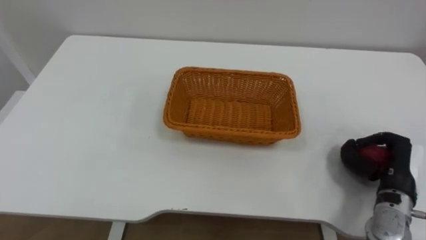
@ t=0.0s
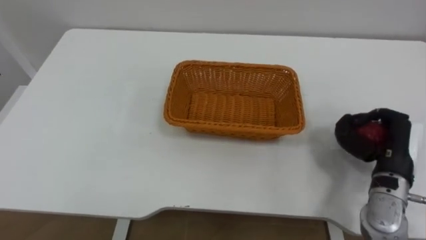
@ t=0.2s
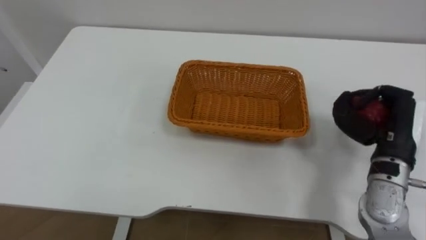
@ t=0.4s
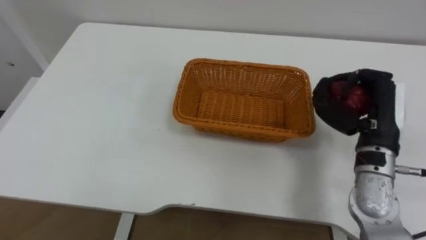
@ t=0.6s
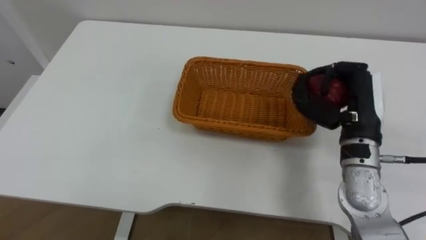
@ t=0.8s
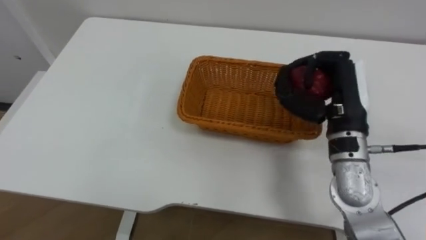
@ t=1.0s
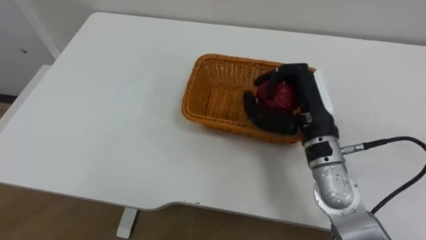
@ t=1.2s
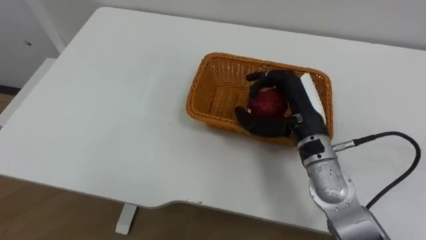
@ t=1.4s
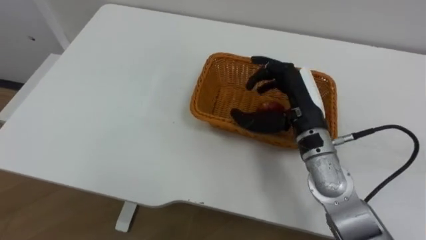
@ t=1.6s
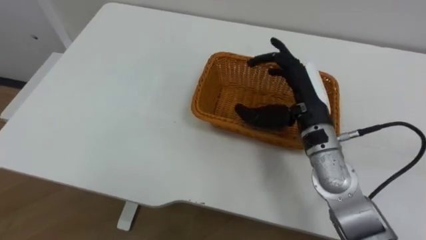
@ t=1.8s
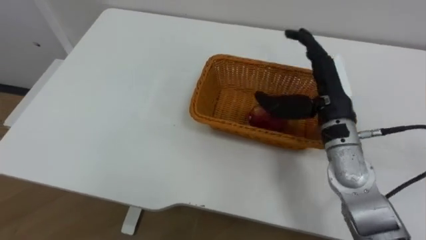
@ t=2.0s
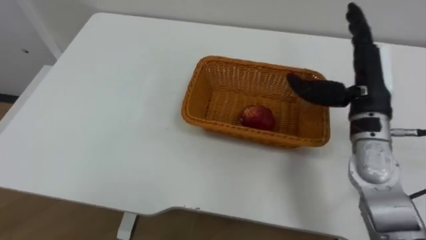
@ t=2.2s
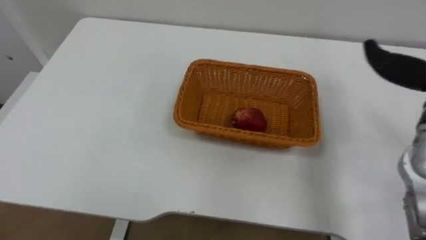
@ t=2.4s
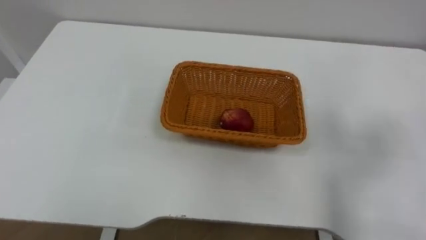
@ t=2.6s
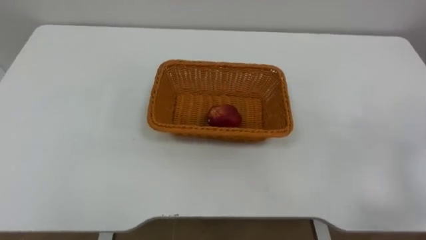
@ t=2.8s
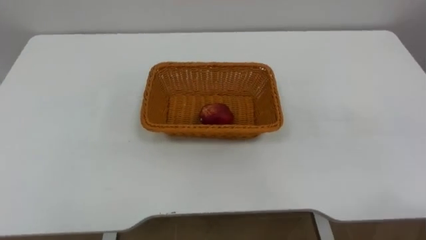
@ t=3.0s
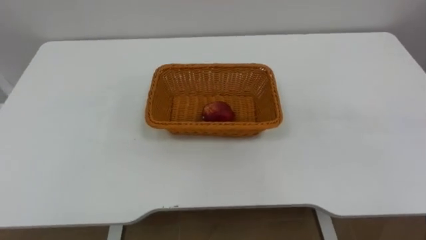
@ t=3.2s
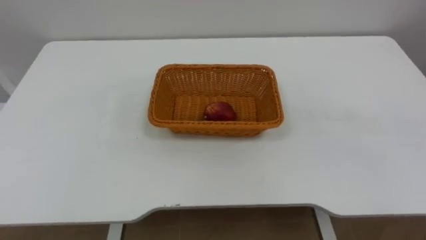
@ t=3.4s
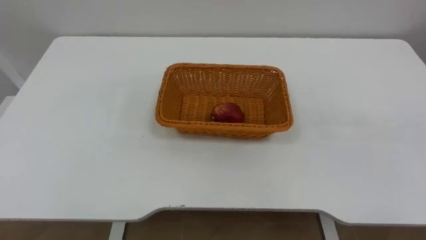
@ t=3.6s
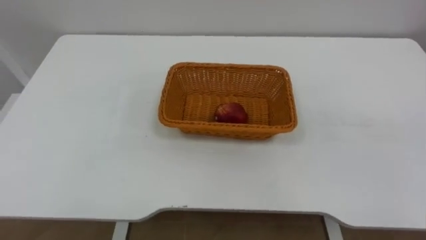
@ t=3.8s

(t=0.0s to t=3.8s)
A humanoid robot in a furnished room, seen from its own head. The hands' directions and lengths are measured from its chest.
Task of the whole recording: Pick the apple and place it in the box.
t=0.0s - t=1.2s: The right hand is displaced to the left and upward by roughly 20 cm.

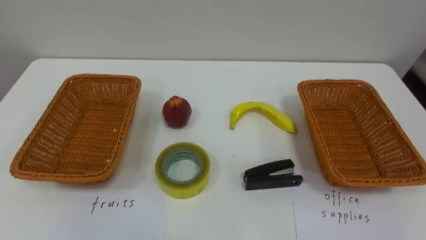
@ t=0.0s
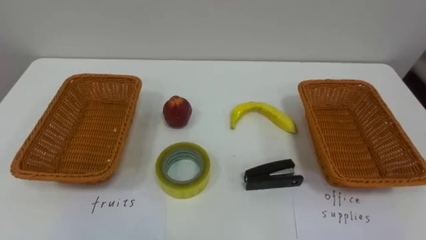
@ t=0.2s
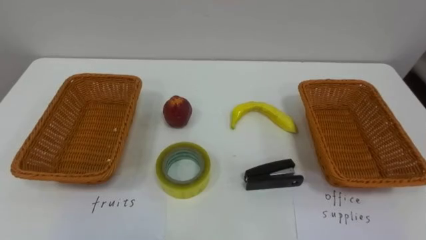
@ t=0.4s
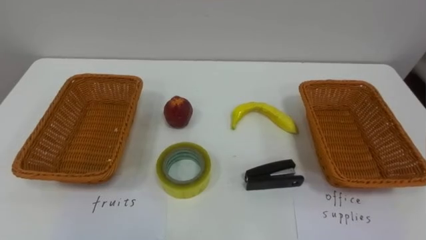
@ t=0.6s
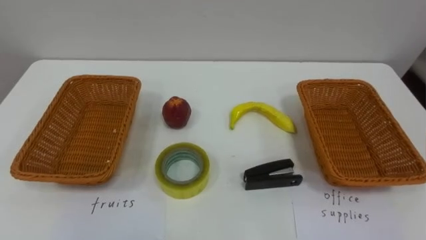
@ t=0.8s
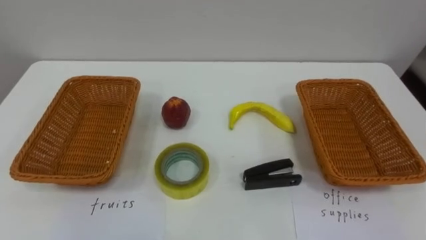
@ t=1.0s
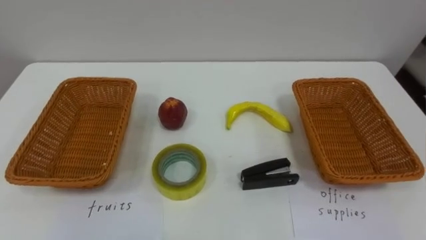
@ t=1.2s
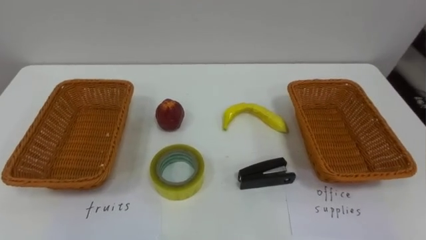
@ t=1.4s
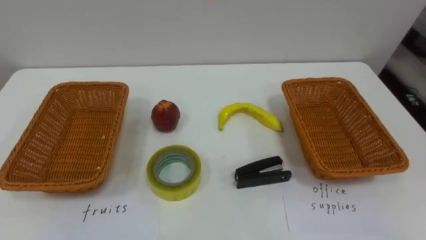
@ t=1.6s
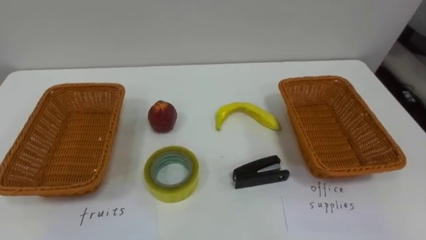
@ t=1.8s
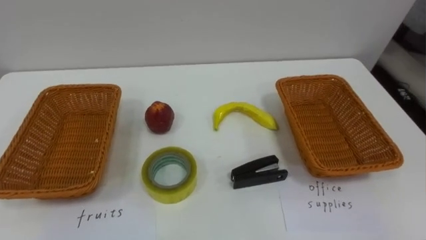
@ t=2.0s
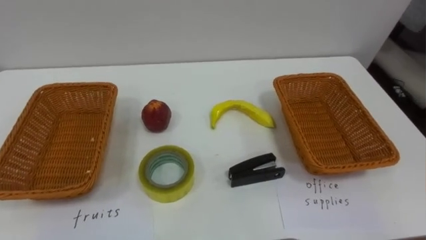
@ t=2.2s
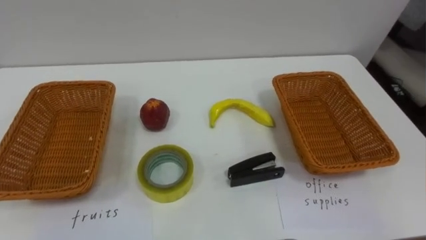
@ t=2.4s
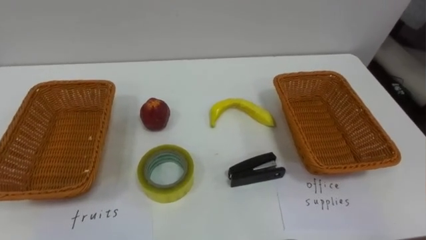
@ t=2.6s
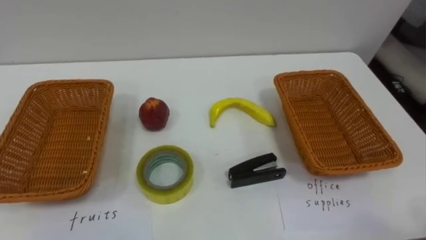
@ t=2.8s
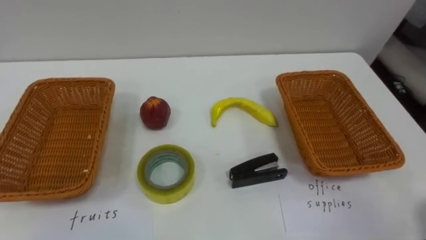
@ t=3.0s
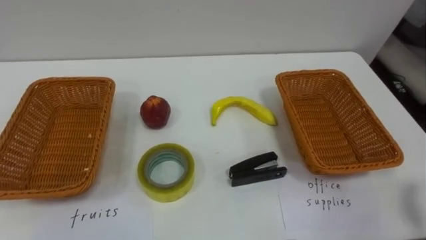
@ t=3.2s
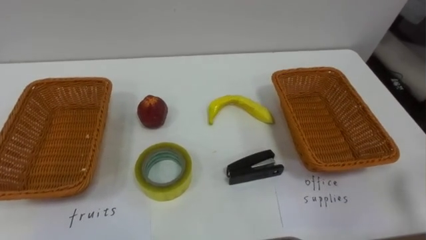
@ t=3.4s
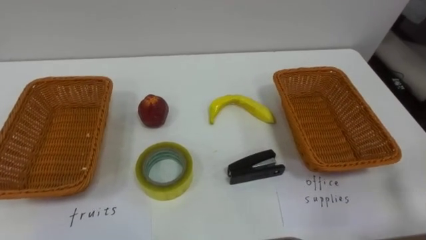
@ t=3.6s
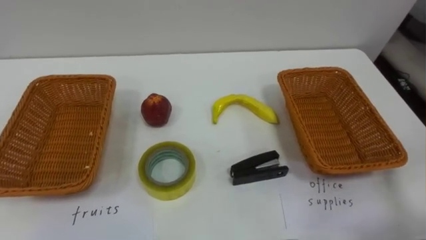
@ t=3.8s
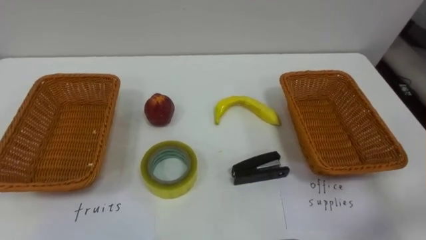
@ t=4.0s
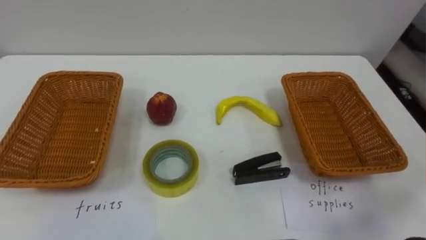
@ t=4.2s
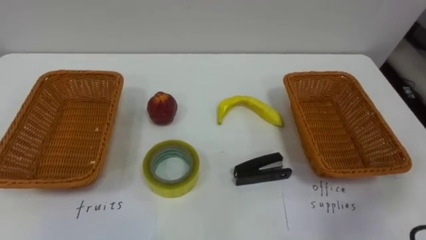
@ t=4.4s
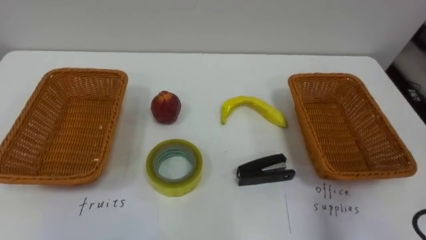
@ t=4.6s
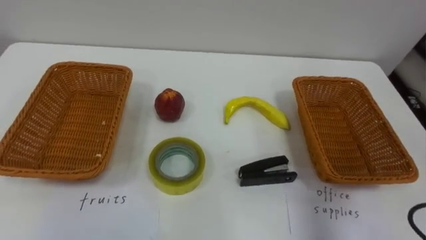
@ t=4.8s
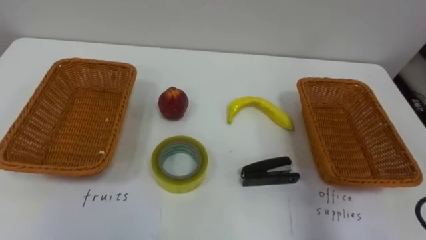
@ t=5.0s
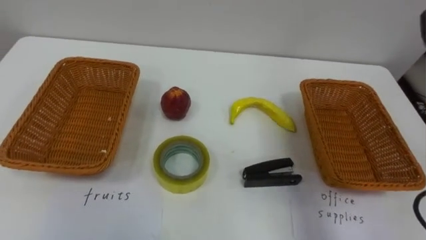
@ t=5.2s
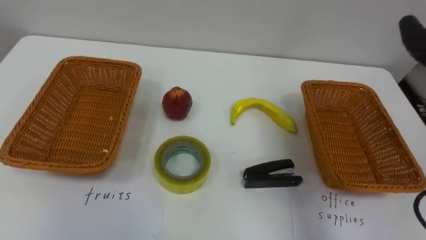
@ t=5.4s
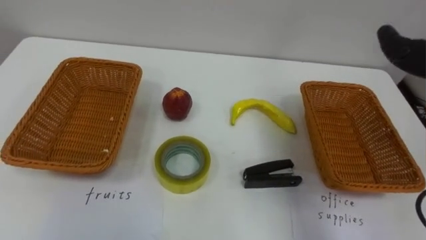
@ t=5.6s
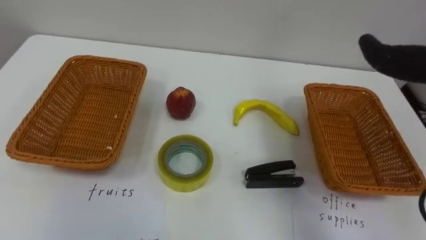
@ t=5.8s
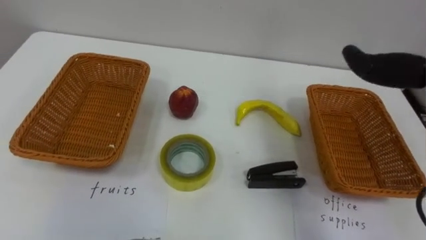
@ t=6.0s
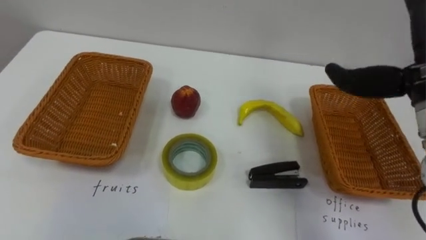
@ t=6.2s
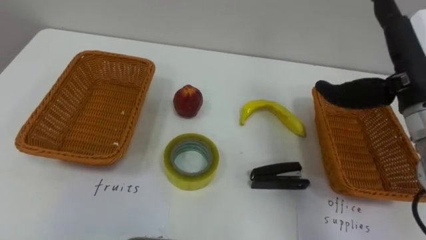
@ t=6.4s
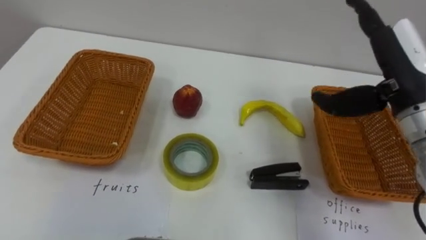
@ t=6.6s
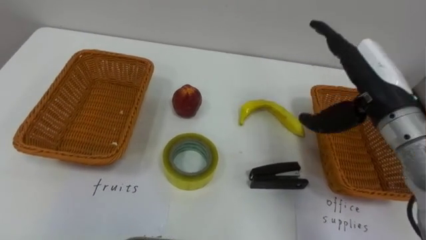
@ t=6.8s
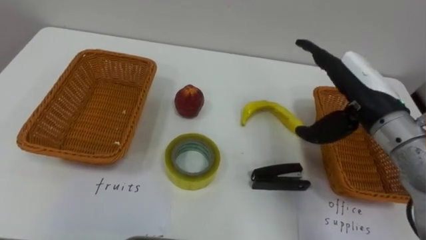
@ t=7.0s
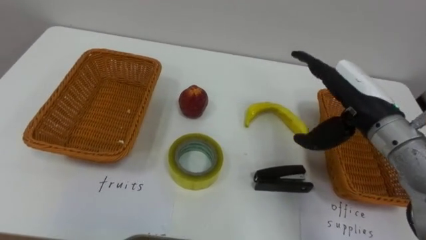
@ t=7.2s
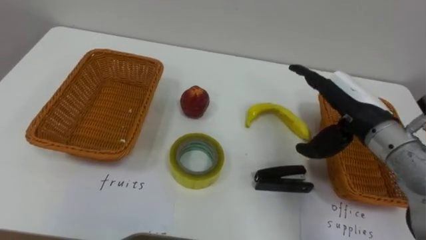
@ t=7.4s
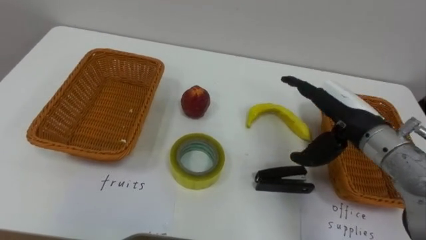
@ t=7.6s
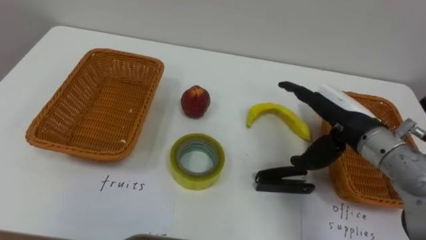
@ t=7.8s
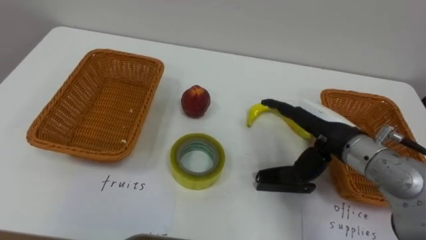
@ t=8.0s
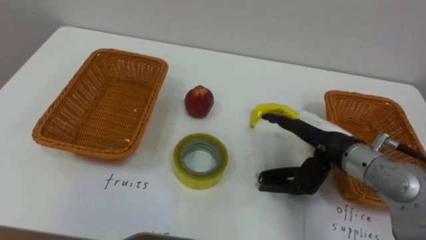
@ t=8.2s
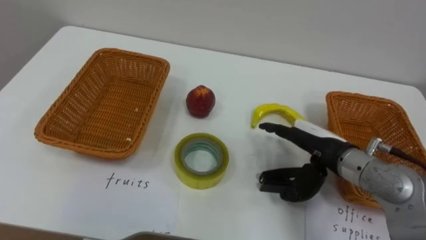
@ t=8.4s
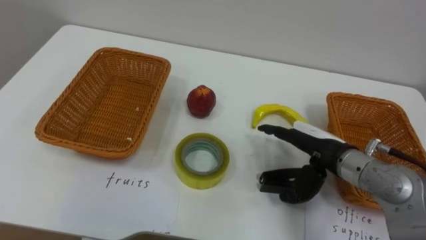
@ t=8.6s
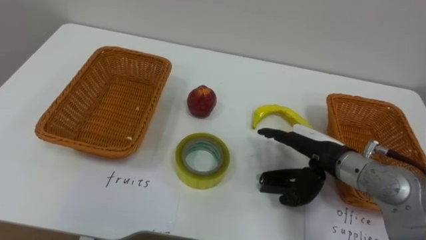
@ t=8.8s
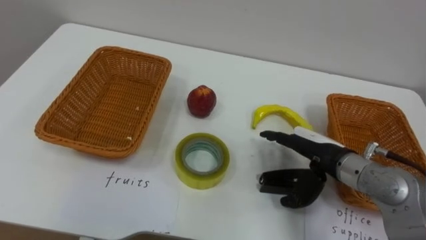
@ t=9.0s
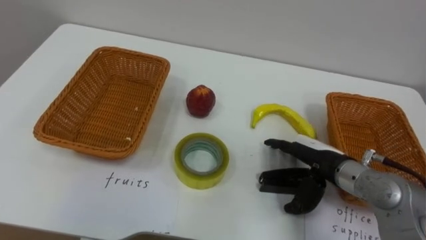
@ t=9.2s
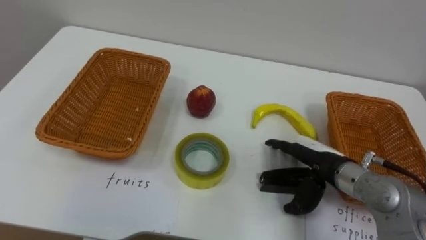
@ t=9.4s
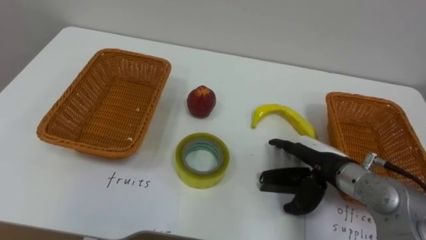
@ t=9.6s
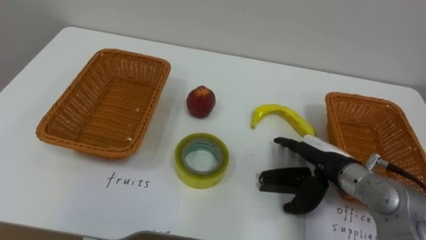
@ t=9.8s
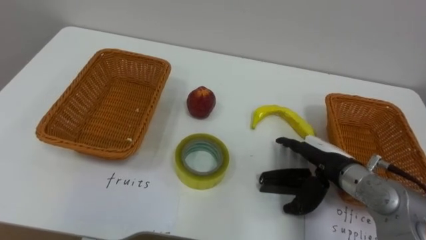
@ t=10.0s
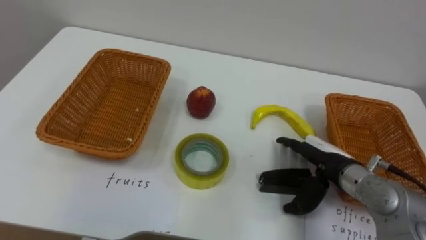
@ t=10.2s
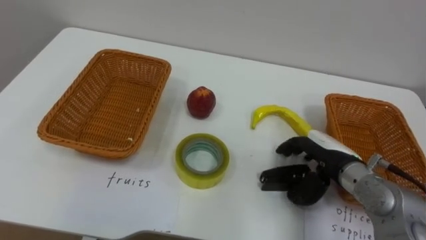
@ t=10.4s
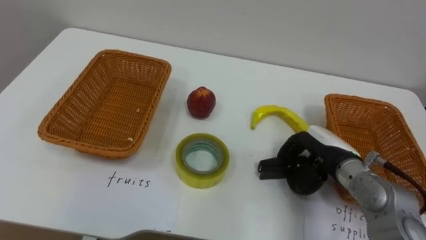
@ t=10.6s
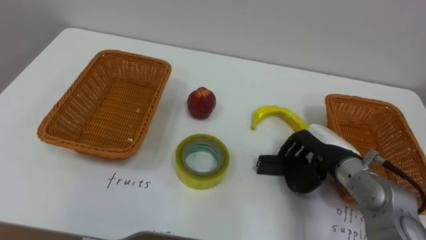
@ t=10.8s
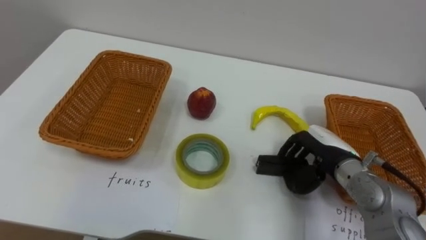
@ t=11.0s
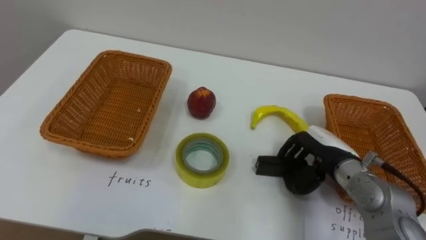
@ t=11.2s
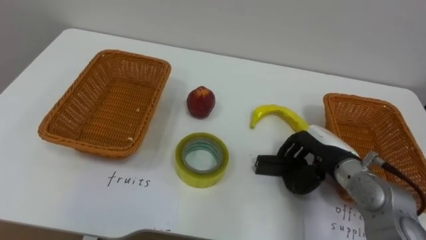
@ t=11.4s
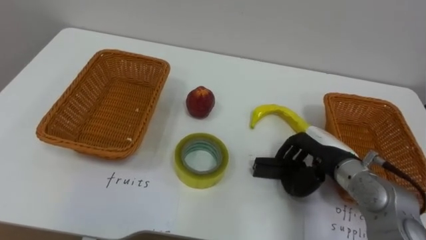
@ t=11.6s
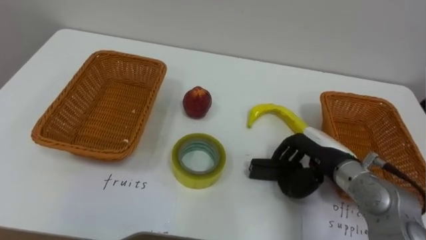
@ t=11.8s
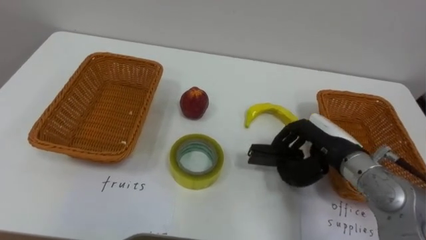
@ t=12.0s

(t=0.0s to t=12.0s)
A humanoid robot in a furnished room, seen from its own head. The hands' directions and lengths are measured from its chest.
Task of the whole recording: Separate the items on the table and place them into the two baskets.
t=7.6s - t=9.0s: The right hand shifts roughly 5 cm downward.
t=10.4s - t=12.0s: The right hand closes.

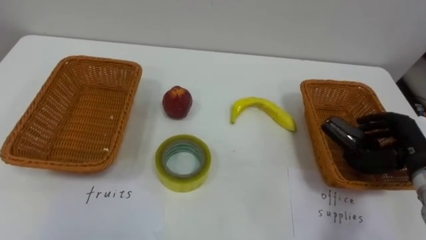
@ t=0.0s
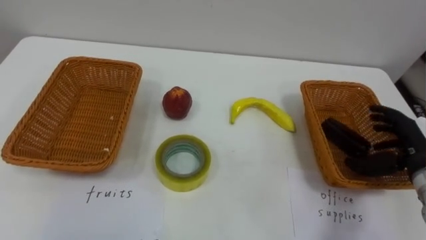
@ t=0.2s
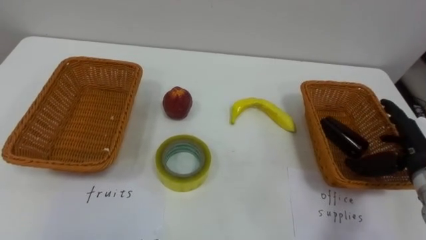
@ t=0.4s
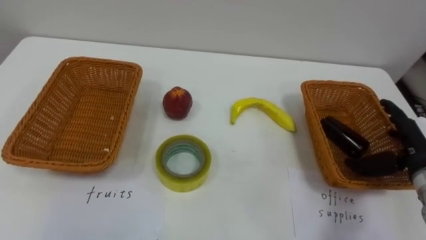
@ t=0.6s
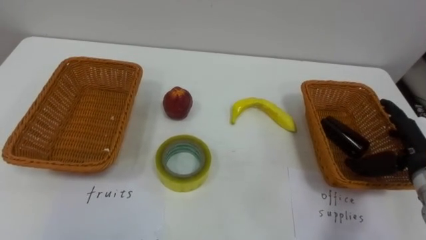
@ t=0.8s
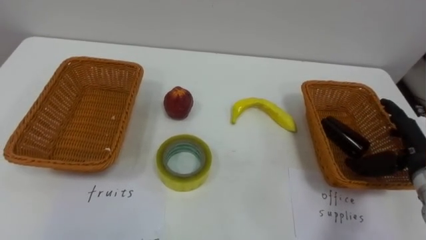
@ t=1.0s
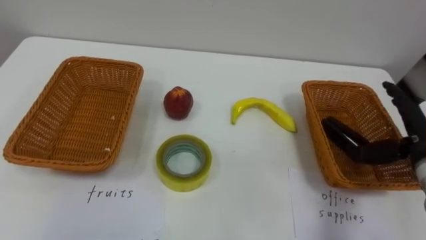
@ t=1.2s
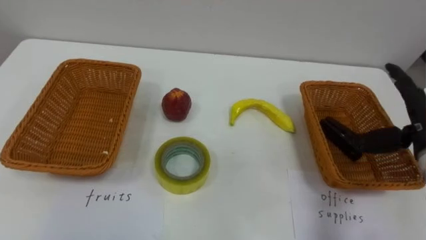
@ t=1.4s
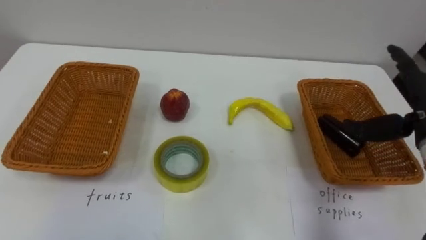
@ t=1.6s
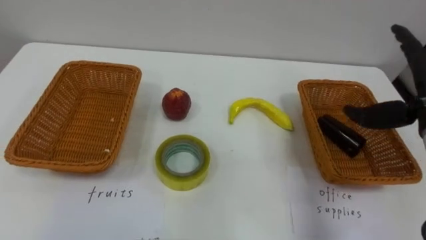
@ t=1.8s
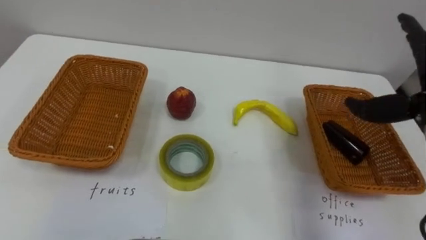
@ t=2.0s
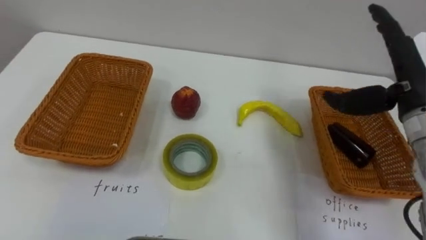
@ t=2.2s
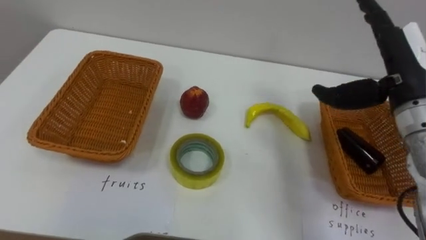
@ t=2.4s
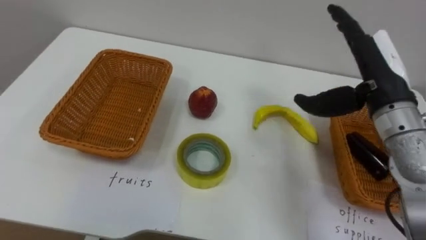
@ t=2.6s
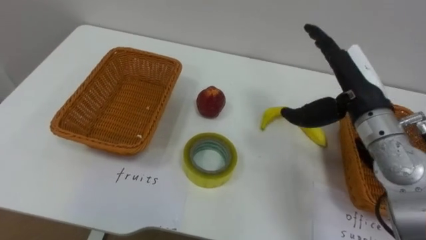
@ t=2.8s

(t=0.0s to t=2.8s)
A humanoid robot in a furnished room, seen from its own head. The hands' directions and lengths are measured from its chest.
Task of the whole recording: Separate the items on the table and place them into the two baskets.
t=0.0s - t=1.4s: The right hand travels upward by about 5 cm, and opens its fingers.
